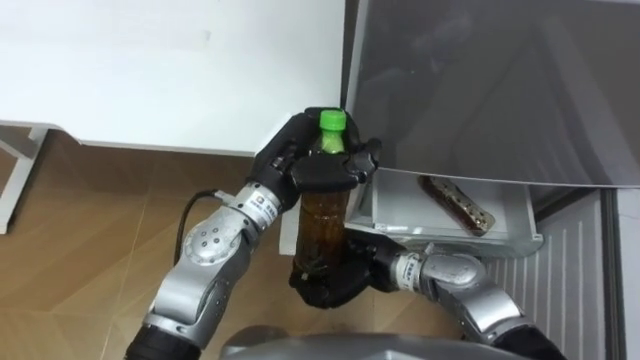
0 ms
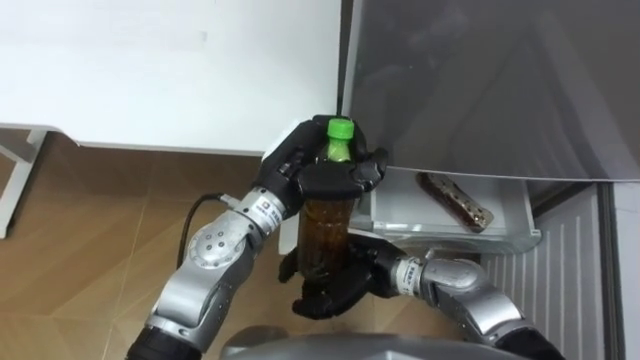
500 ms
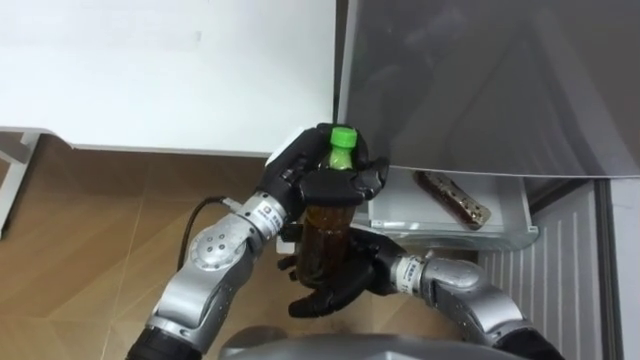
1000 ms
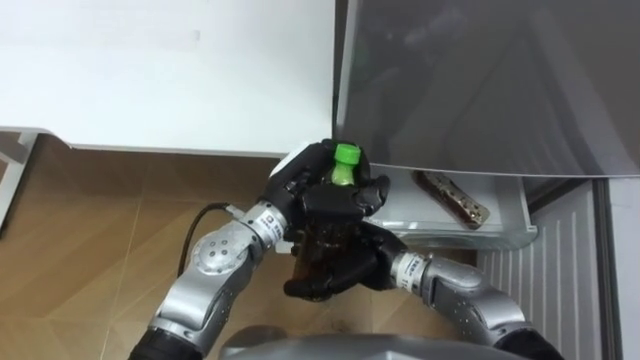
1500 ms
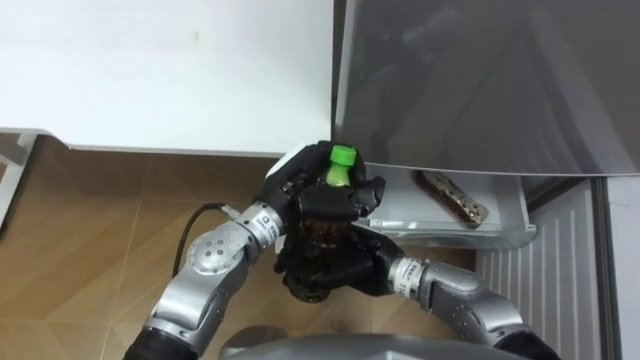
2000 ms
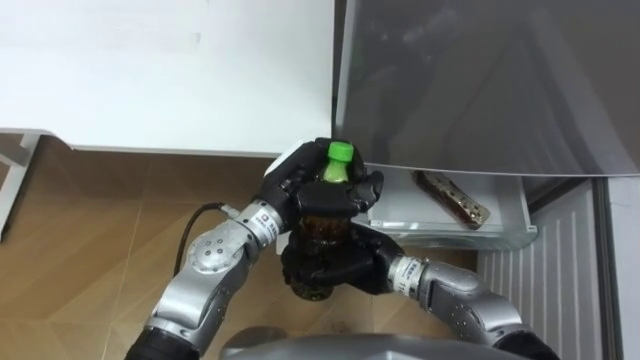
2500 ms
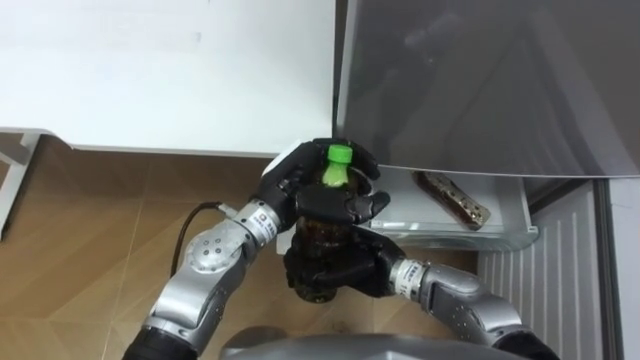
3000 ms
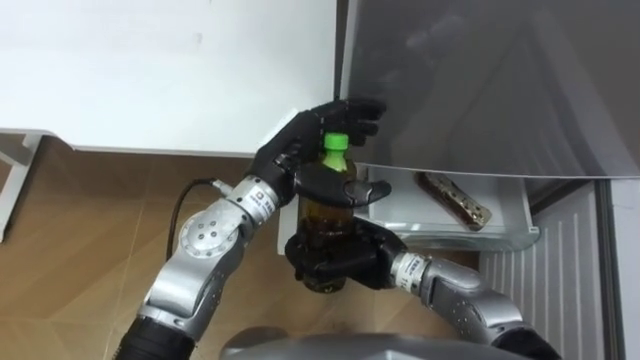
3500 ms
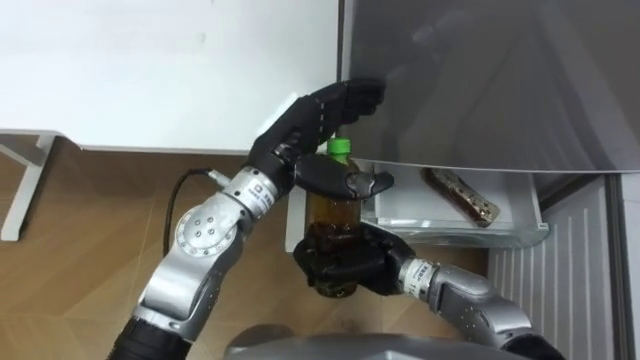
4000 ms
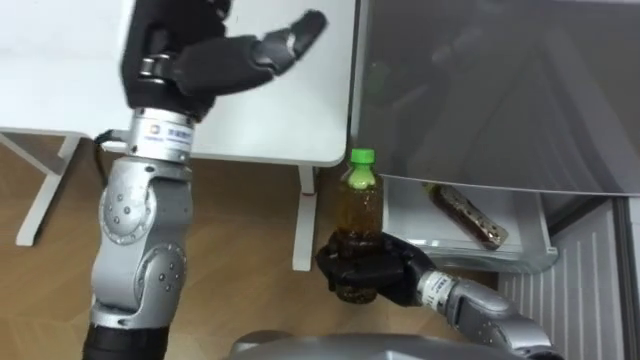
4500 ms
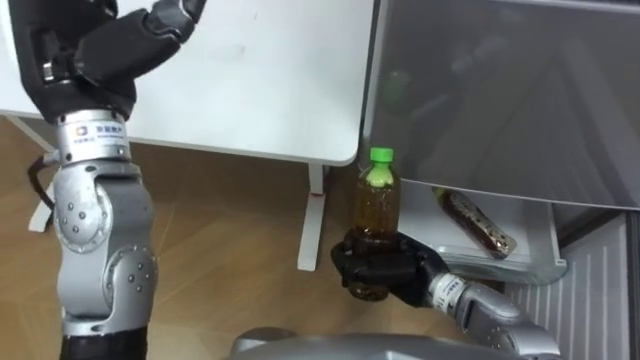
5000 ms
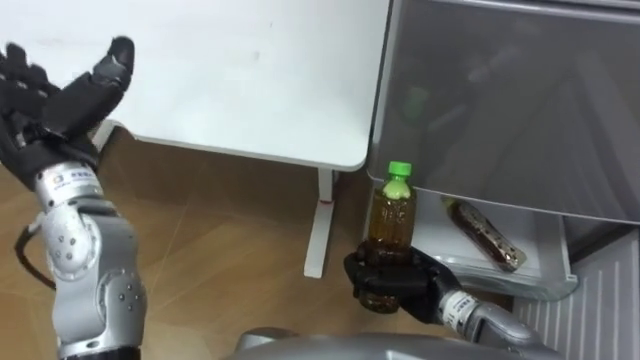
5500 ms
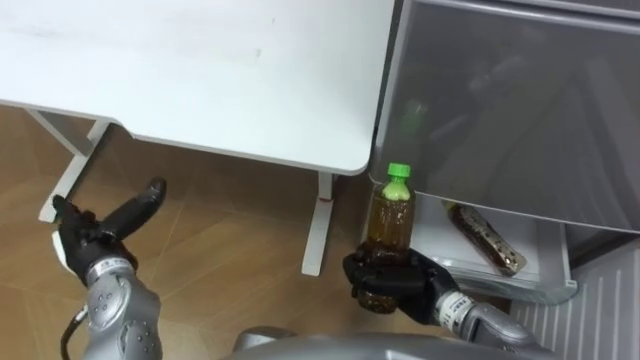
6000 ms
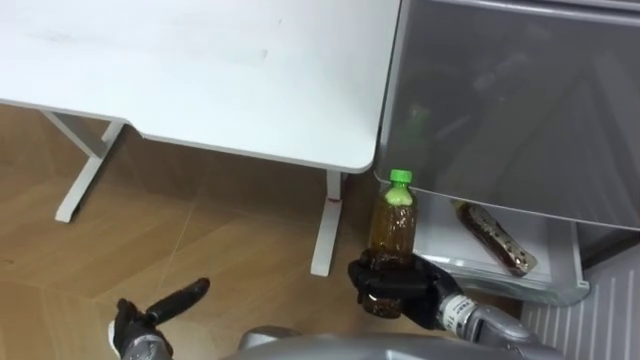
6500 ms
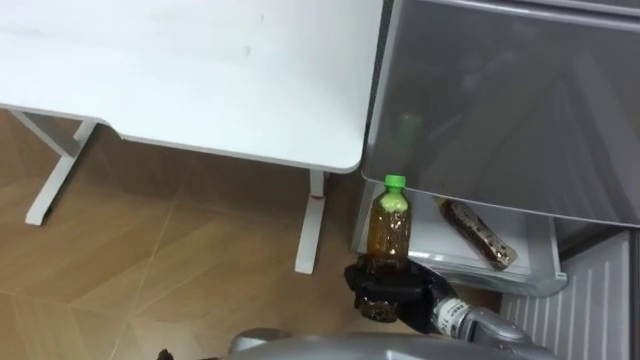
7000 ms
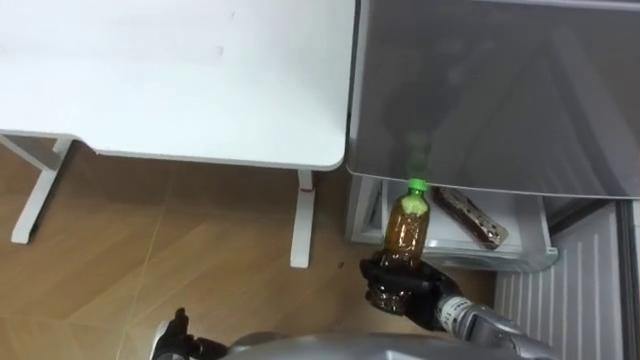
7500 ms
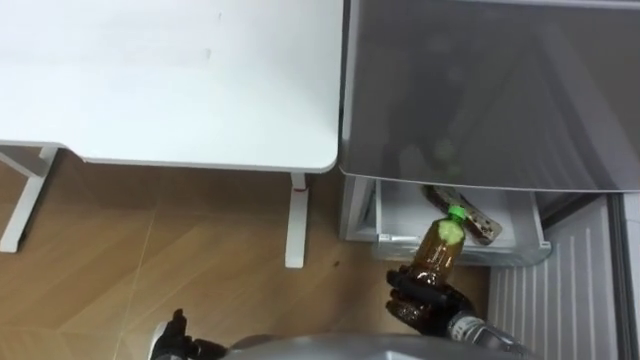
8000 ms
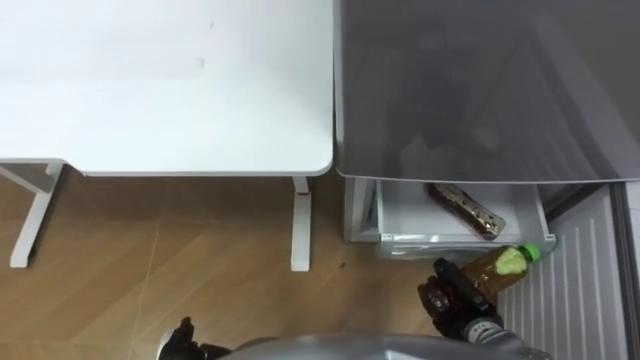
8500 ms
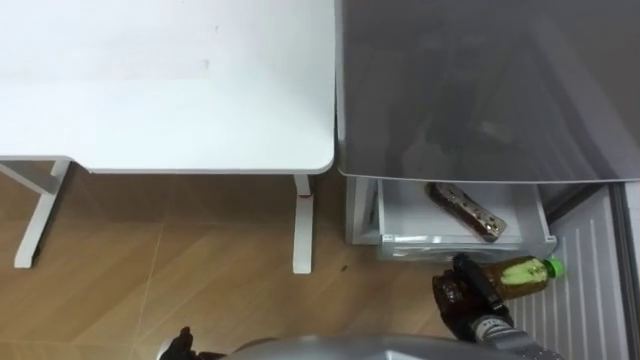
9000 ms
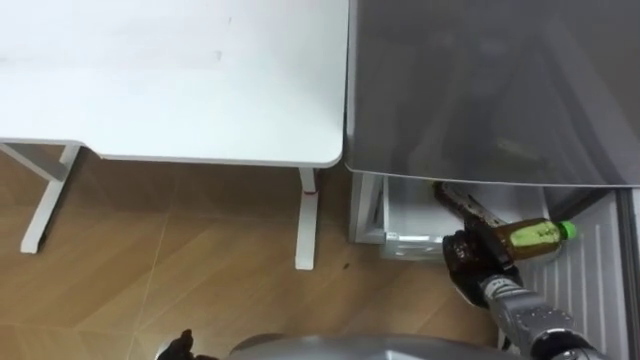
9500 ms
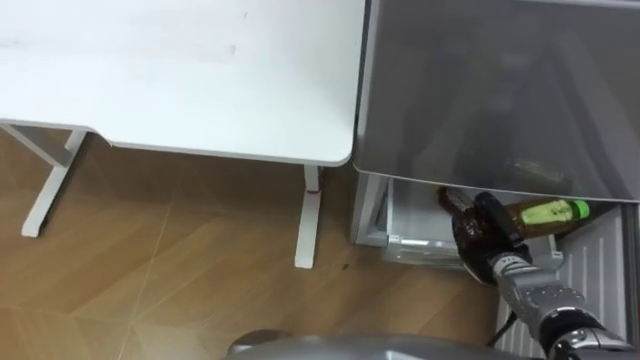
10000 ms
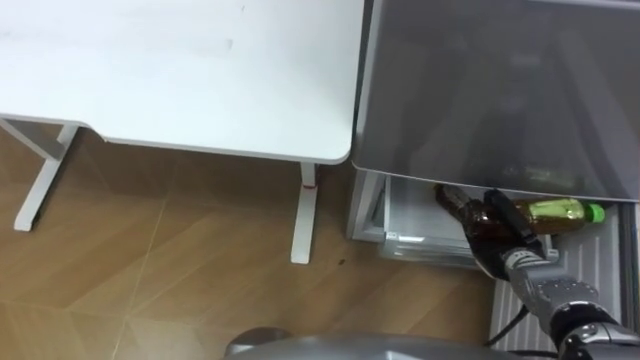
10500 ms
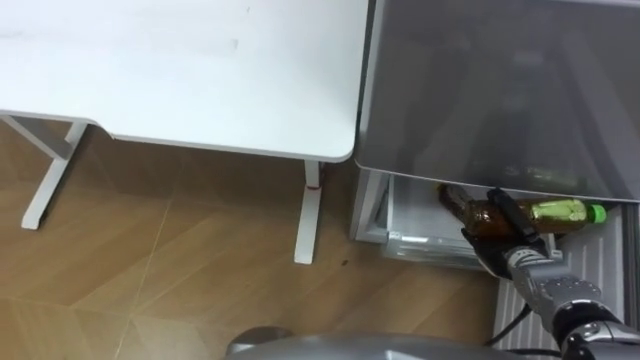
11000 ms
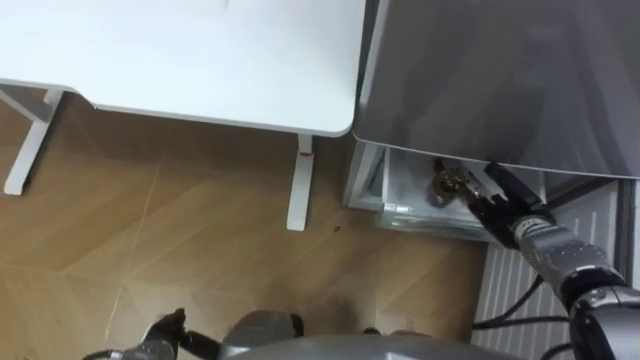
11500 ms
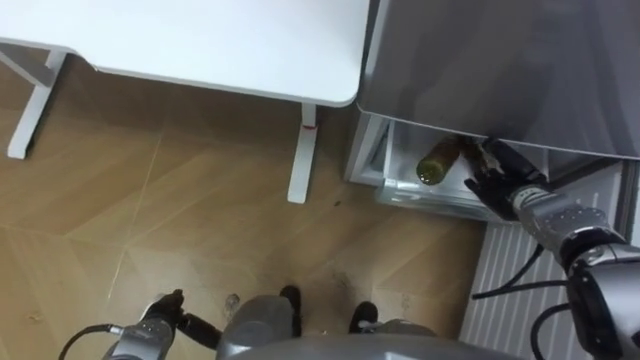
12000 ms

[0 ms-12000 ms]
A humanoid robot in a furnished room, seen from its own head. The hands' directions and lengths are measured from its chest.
Task of the whole recording: Place the drink on the table on the bottom shelf of the refrigerator, then close the drawer and the refrigerator door.
0 ms to 2000 ms: The right hand opens, then closes again.
2000 ms to 4000 ms: The left hand goes approximately 5 cm upward, and opens its fingers.
4000 ms to 6000 ms: The left hand shifts approximately 30 cm to the left and downward. Meanwhile the right hand is displaced to the right by approximately 5 cm.
6000 ms to 8000 ms: The right hand shifts about 10 cm downward and to the right.
8000 ms to 10000 ms: The right hand is displaced to the right and forward by approximately 10 cm.
10000 ms to 12000 ms: The right hand shifts some 10 cm forward, and opens.

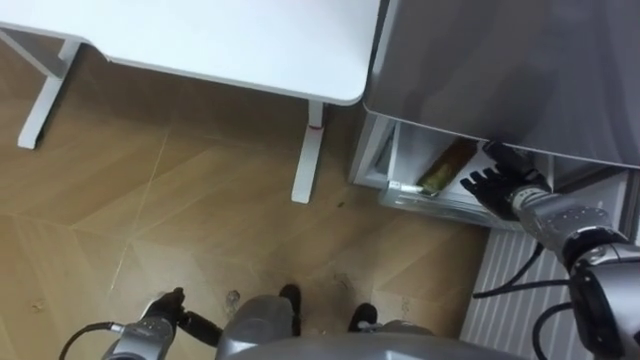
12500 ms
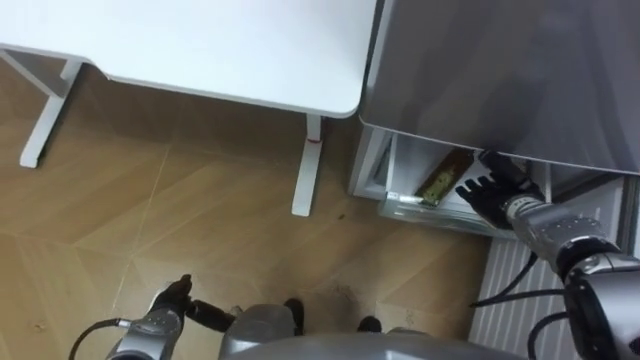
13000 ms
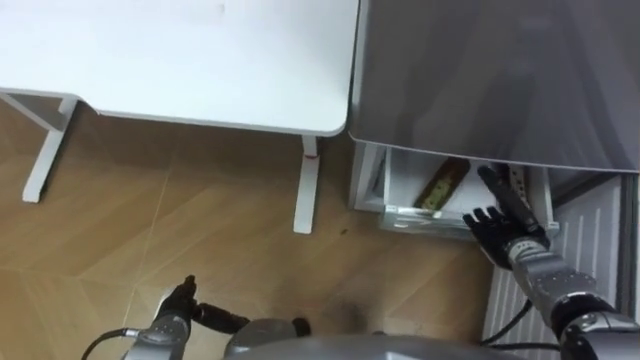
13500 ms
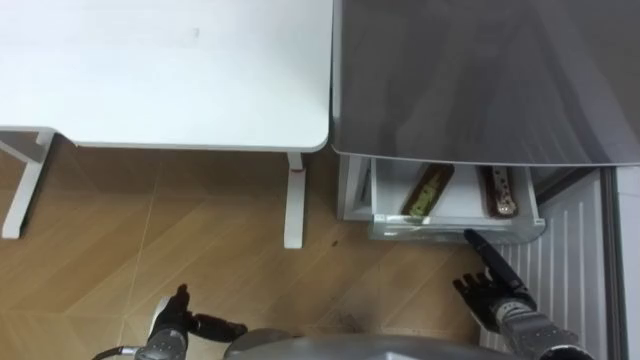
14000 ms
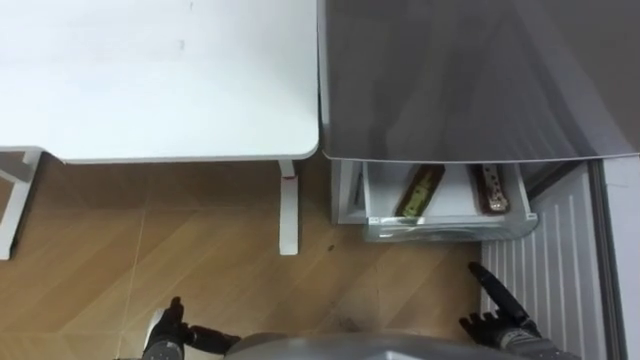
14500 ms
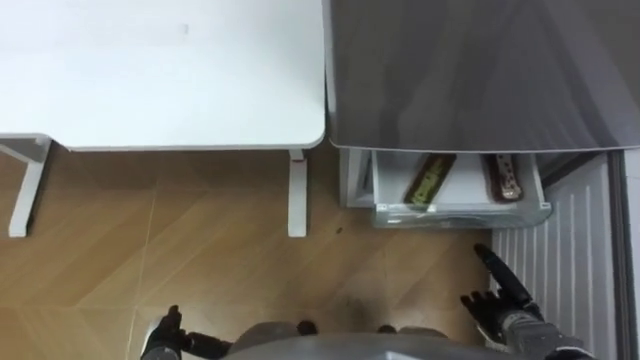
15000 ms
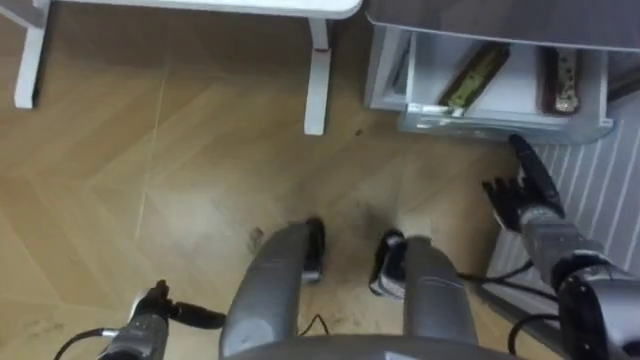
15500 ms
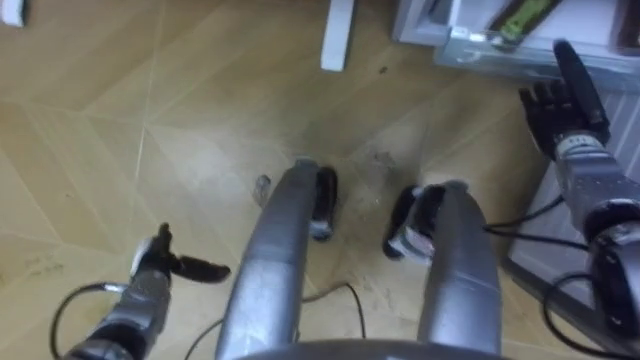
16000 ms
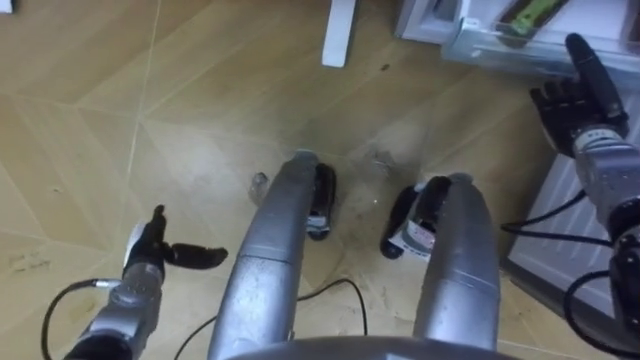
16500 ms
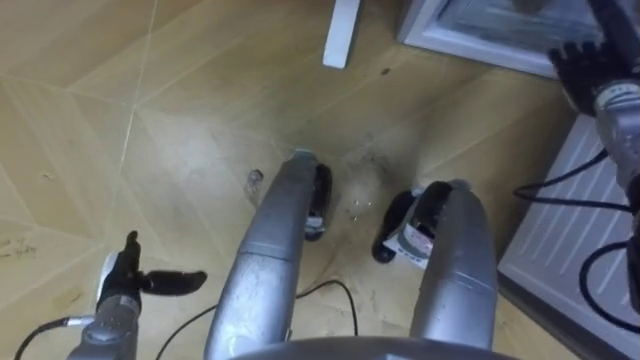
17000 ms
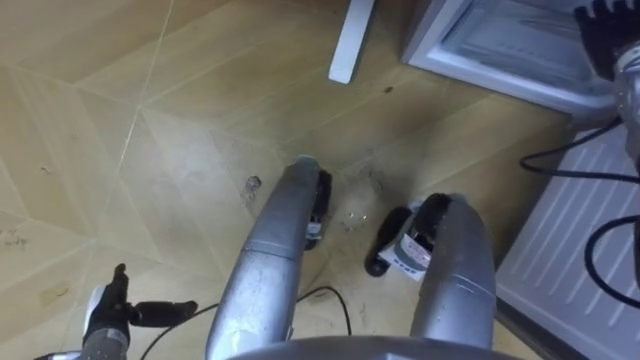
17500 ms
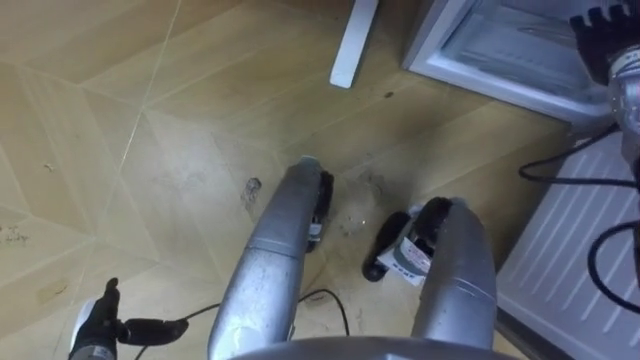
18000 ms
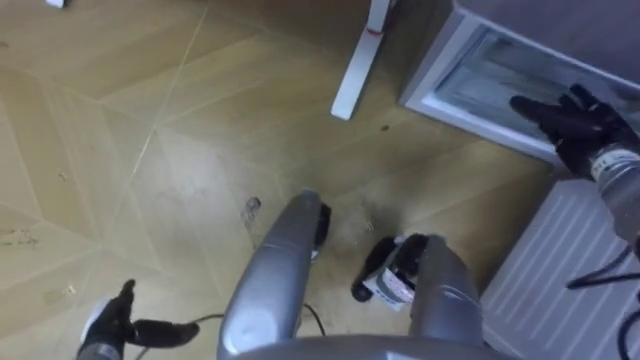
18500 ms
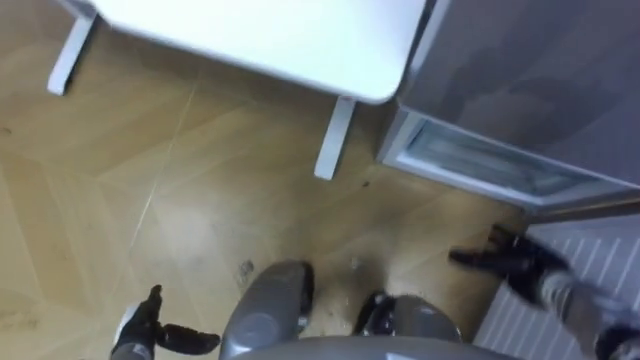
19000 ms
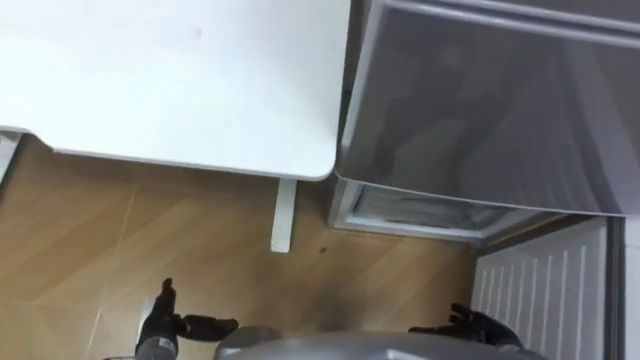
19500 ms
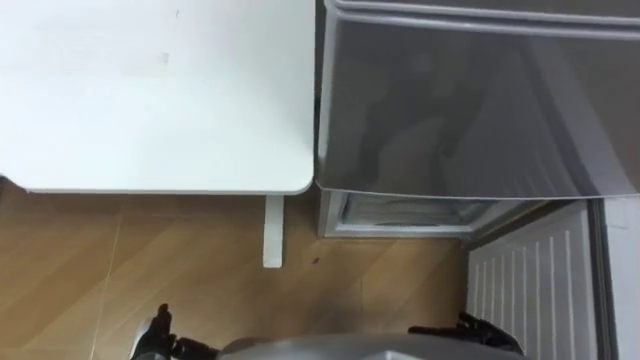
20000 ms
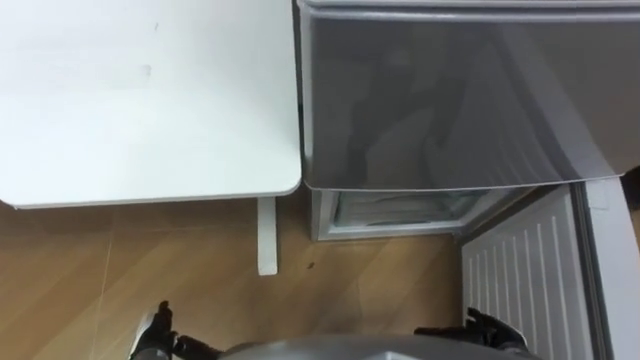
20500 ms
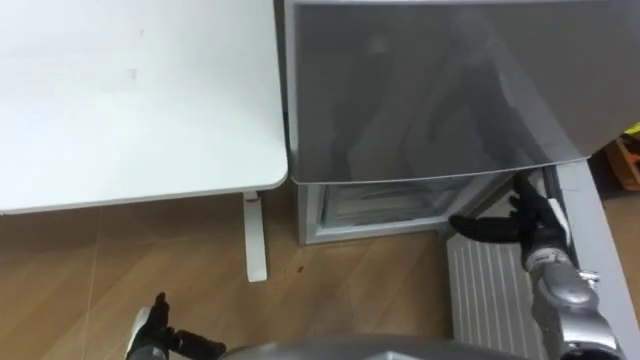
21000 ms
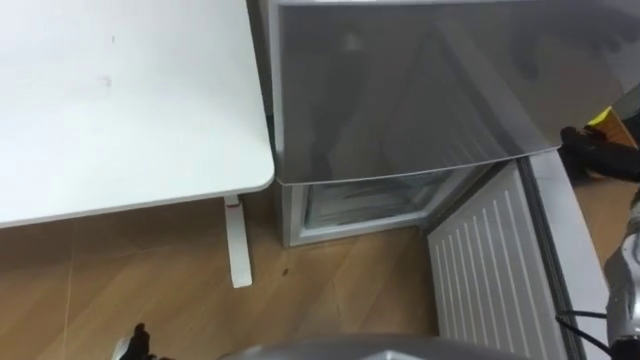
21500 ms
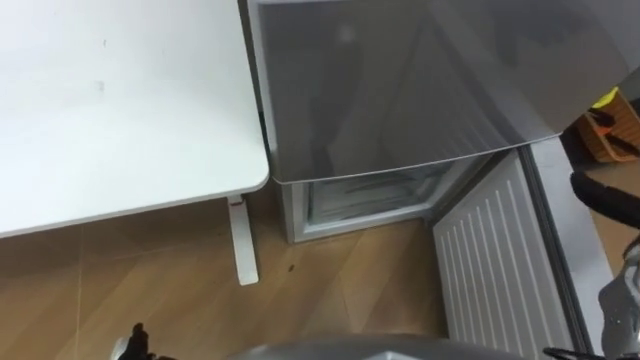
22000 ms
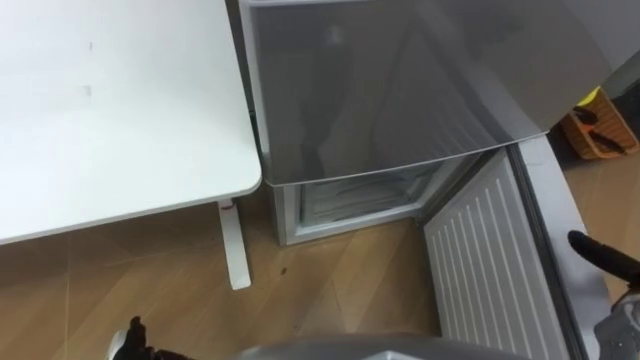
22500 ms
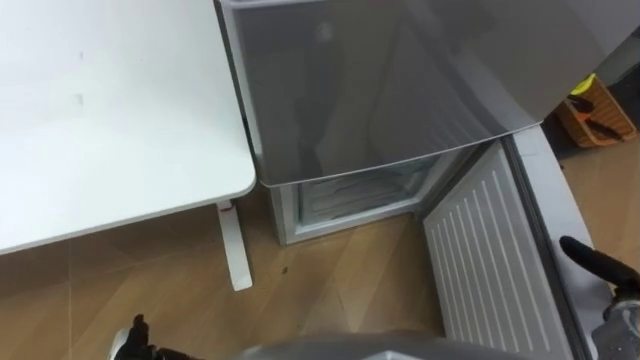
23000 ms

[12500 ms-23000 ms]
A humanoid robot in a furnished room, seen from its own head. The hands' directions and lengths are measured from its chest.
Task of the whole recording: Place the drink on the table on the bottom shelf of the refrigerator, then close the drawer and the refrigerator door.
12500 ms to 14500 ms: The right hand heads backward and downward, covering roughly 20 cm.
14500 ms to 16500 ms: The left hand is displaced forward and upward by roughly 10 cm, while the right hand heads forward and upward, covering roughly 30 cm.
16500 ms to 19000 ms: The right hand goes about 20 cm backward and downward. The left hand goes about 10 cm backward.
19000 ms to 21000 ms: The right hand goes some 5 cm upward, and goes backward and returns, approximately 10 cm each way.
